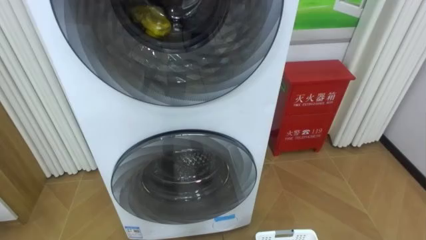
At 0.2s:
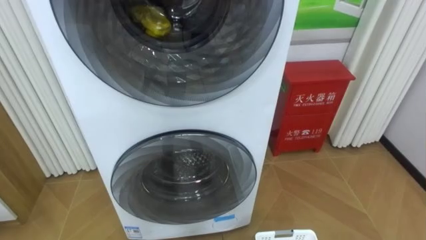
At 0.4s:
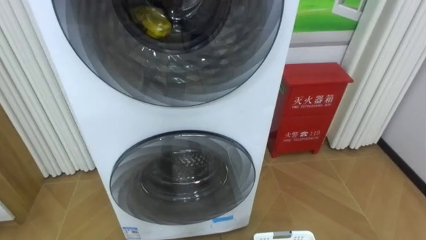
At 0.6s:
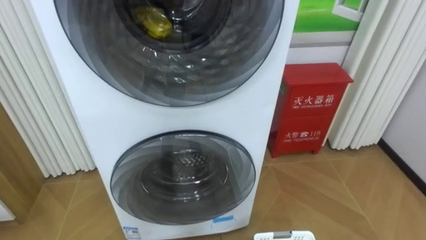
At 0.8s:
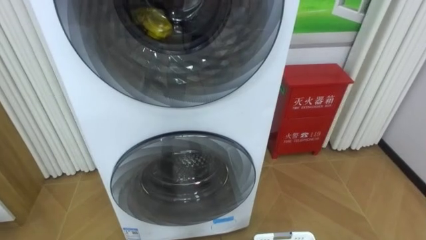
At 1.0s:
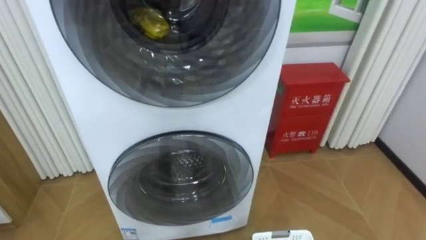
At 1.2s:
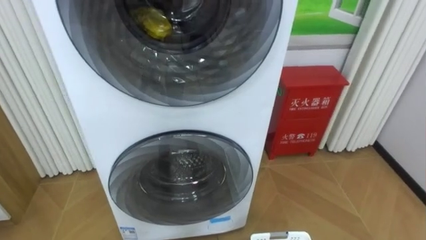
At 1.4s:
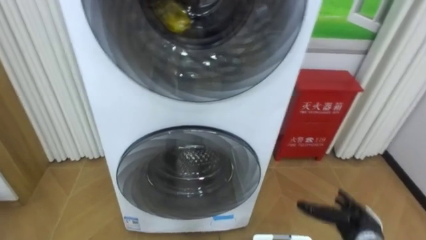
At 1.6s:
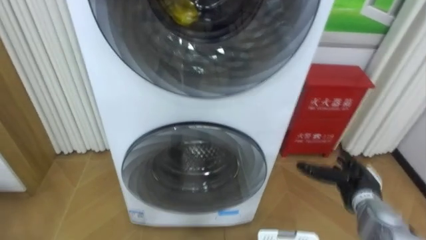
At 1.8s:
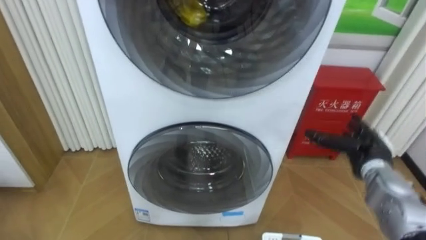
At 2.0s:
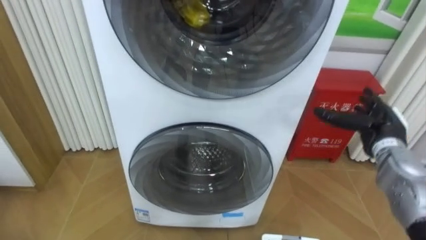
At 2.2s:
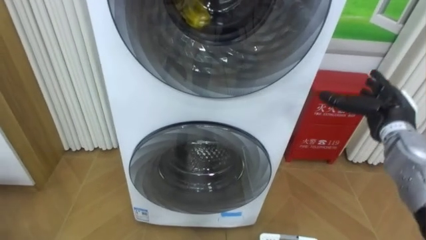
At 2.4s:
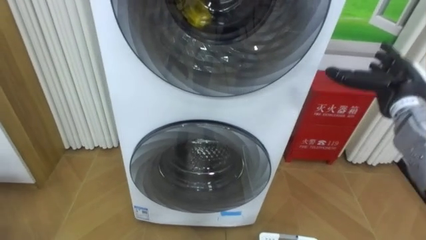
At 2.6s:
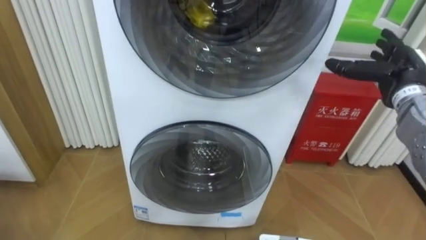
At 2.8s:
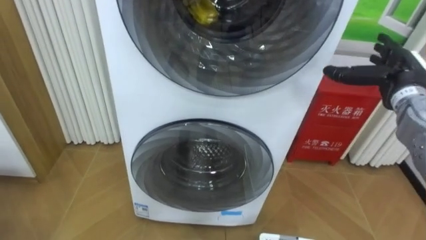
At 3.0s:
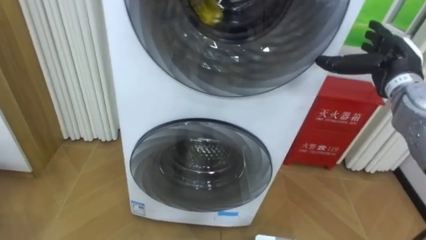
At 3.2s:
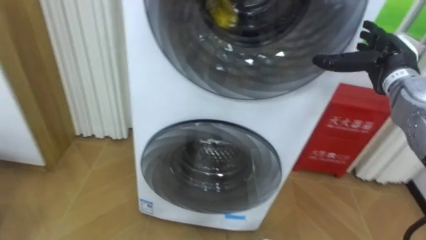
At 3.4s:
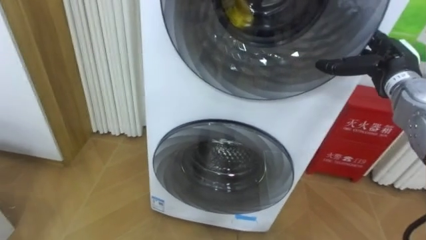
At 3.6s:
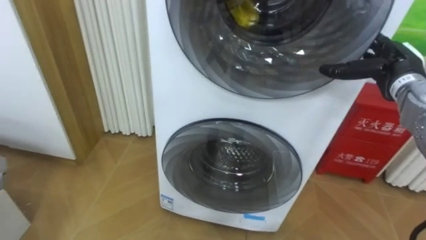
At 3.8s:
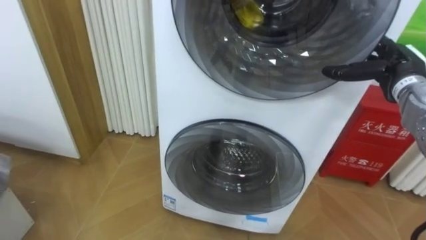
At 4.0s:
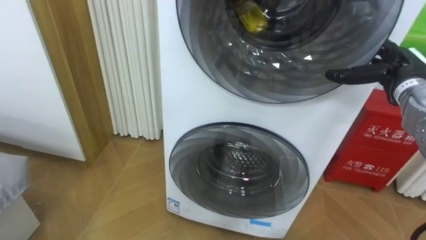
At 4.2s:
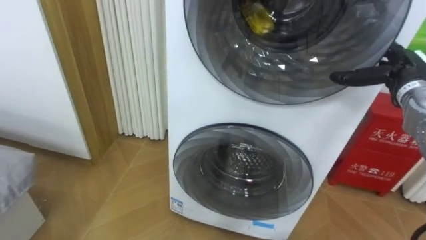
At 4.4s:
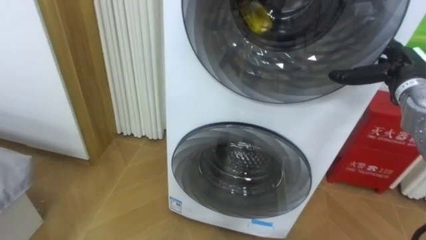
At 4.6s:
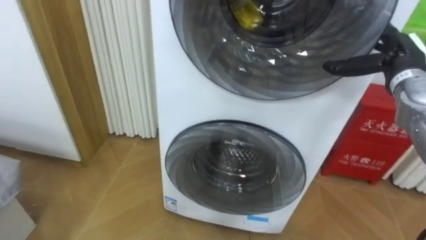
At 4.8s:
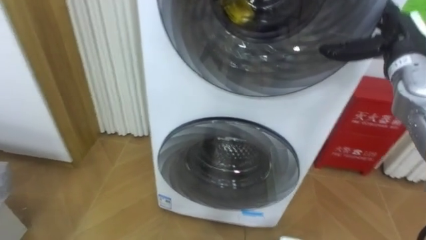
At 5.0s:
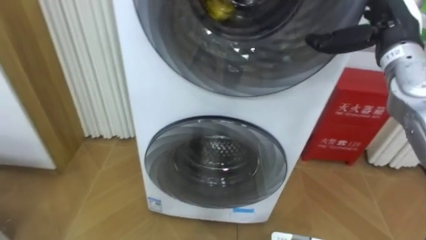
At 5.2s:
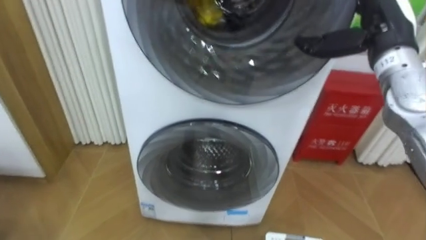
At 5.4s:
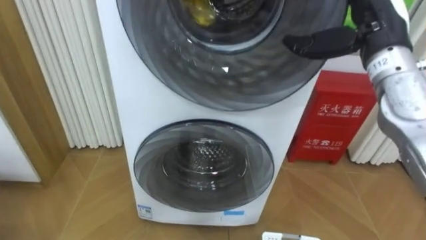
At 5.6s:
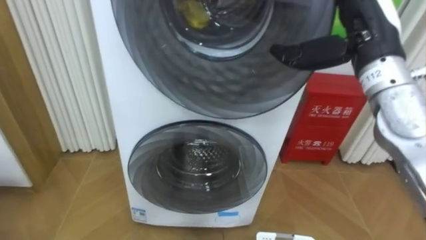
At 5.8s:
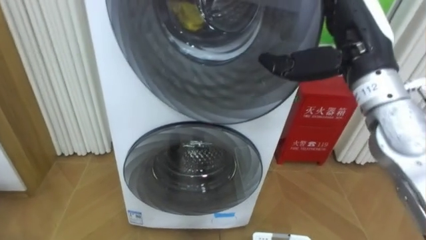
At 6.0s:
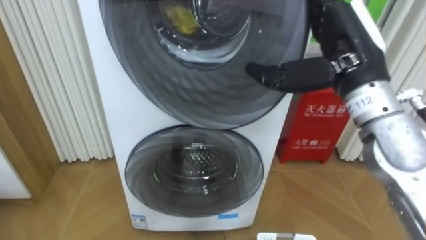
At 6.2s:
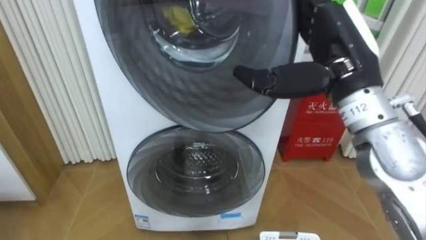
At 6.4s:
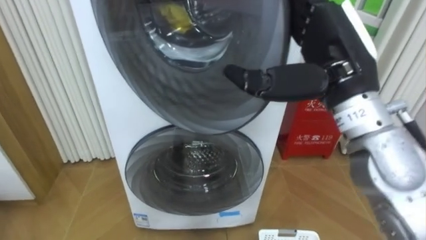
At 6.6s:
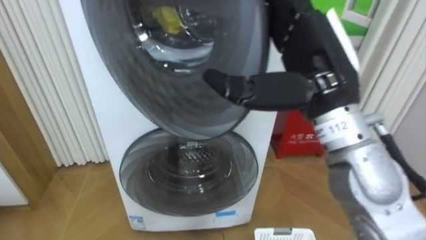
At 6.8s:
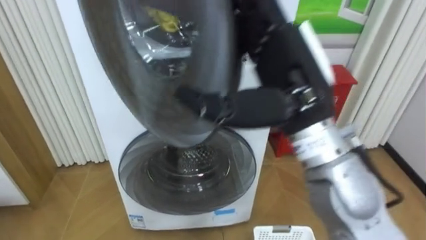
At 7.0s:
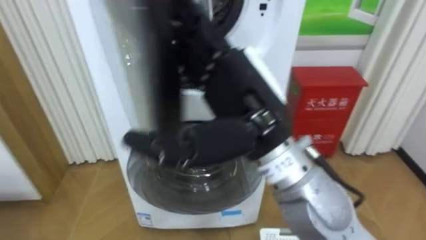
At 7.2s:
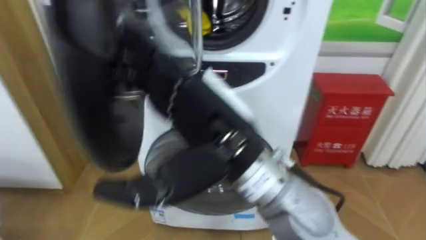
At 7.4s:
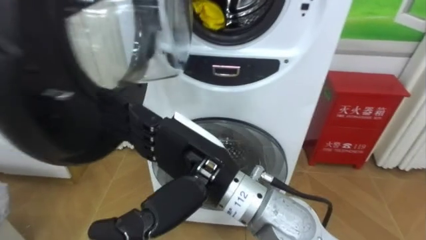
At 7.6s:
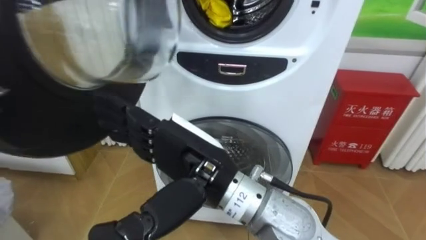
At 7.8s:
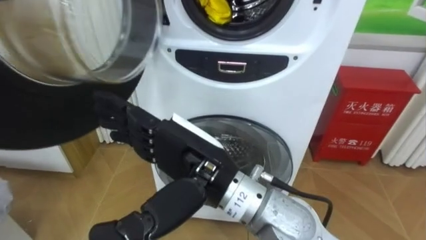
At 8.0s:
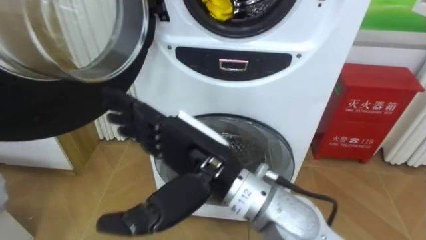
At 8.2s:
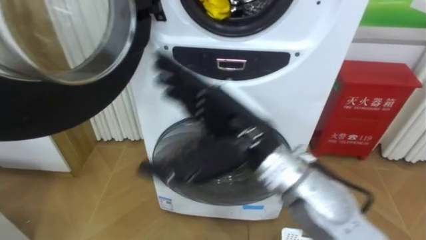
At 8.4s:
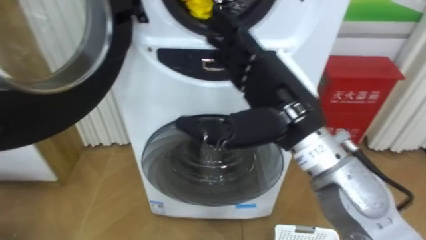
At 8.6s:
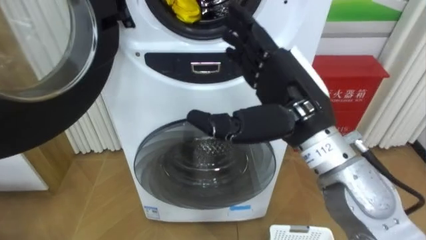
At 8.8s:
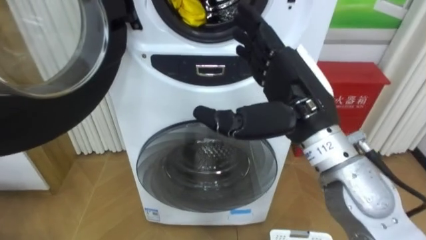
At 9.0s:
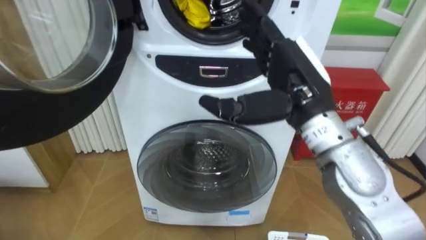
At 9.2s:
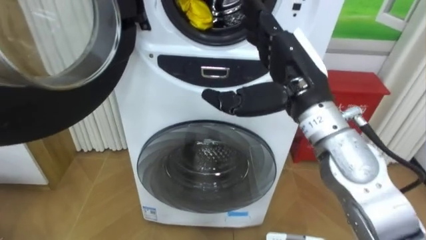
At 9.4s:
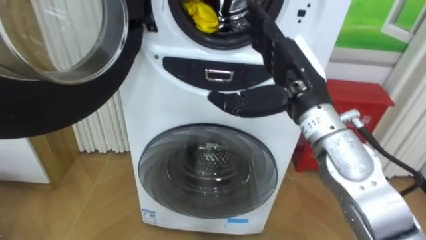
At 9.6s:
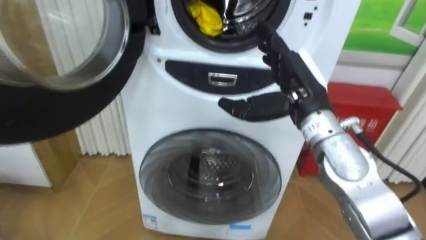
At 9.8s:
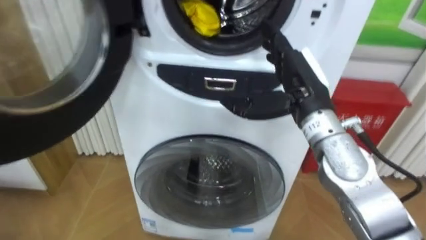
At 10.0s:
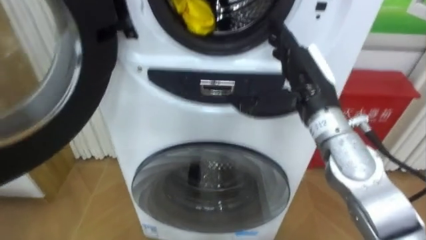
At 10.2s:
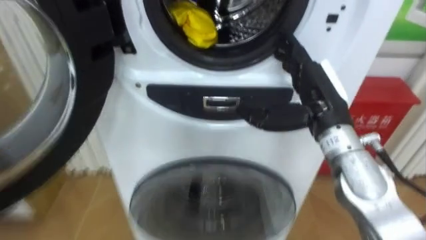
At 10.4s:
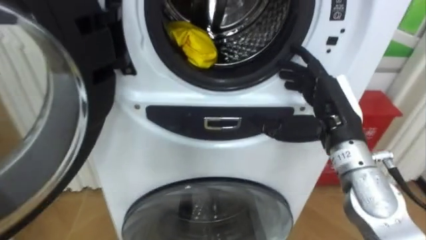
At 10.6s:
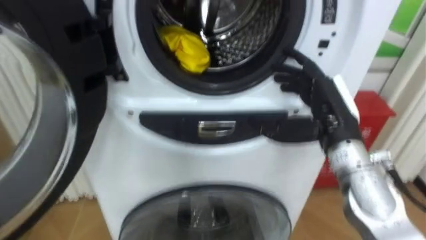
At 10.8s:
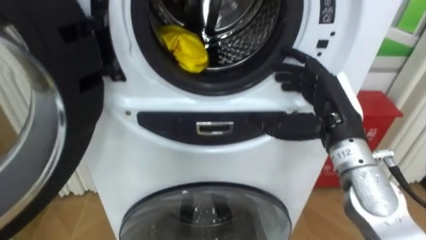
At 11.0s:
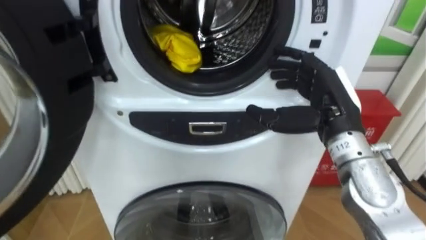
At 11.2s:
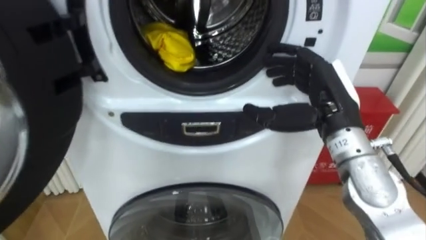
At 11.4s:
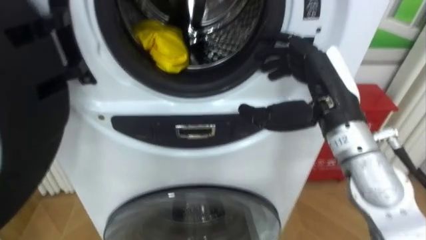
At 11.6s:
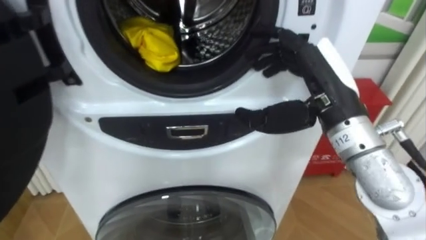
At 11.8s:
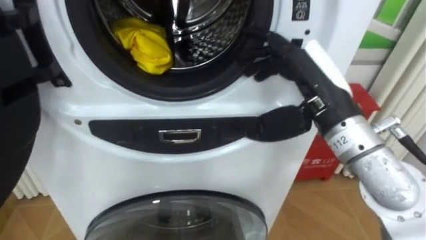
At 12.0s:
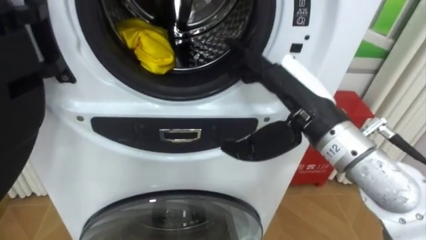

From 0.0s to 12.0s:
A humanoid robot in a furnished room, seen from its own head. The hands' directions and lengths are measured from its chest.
Task of the whole recording: Open the washing machine door, take out the yellow clothes, place them in the box on the right, and close the washing machine door.
From 1.6s to 3.0s: The right hand shifts roughly 25 cm upward and forward.
From 4.4s to 6.0s: The right hand moves to the left, backward and upward, approximately 20 cm.
From 6.0s to 7.6s: The right hand moves to the left, backward and downward, approximately 25 cm.
From 7.6s to 9.0s: The right hand goes about 15 cm to the right and forward.
From 9.0s to 10.4s: The right hand shifts about 10 cm downward and to the right.
From 10.4s to 12.0s: The right hand moves to the left and upward, roughly 10 cm.

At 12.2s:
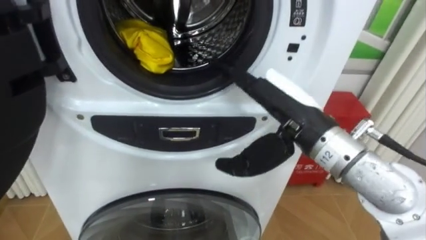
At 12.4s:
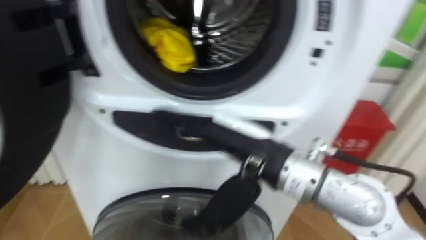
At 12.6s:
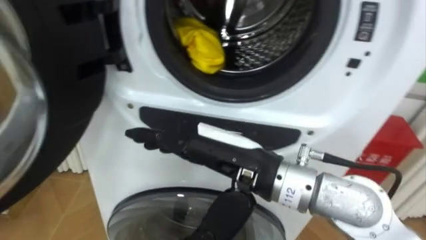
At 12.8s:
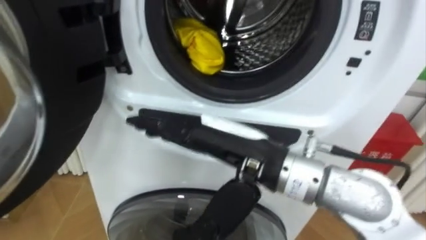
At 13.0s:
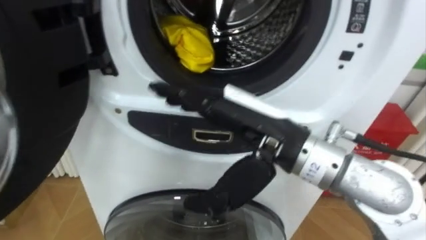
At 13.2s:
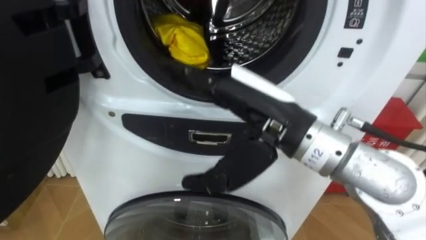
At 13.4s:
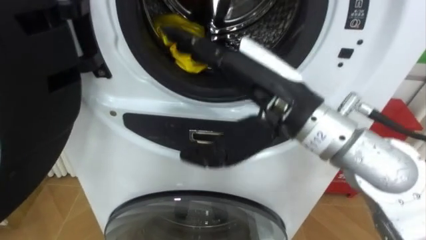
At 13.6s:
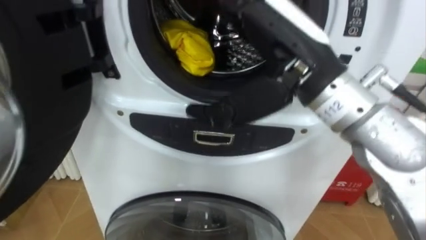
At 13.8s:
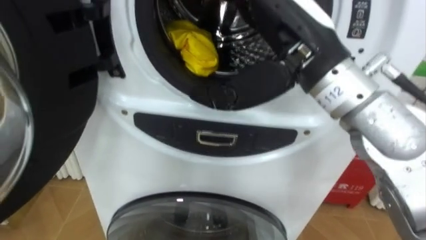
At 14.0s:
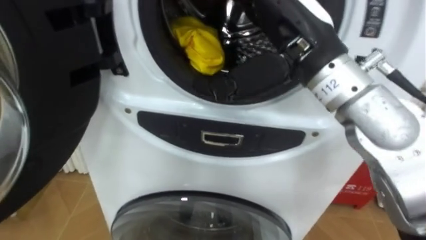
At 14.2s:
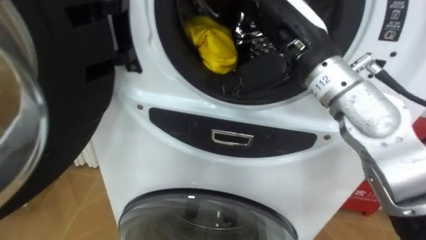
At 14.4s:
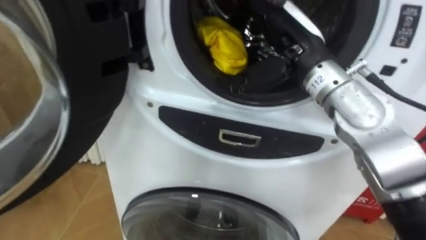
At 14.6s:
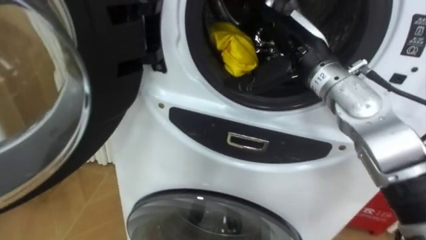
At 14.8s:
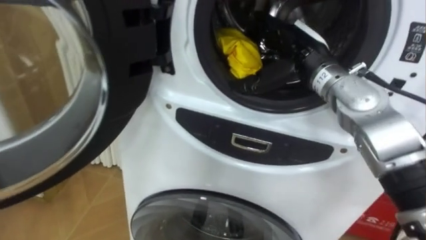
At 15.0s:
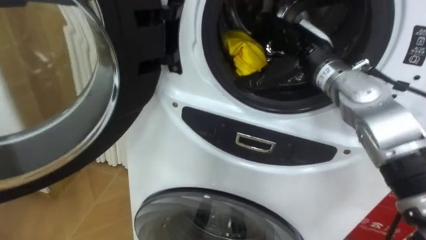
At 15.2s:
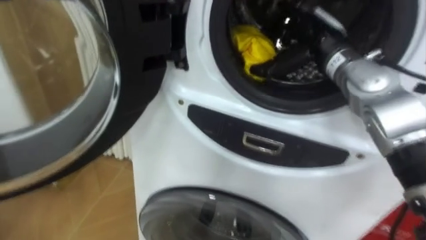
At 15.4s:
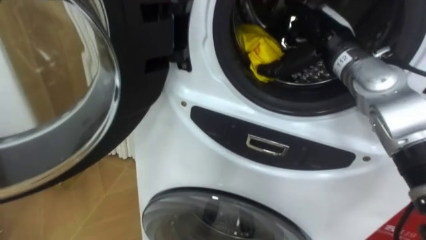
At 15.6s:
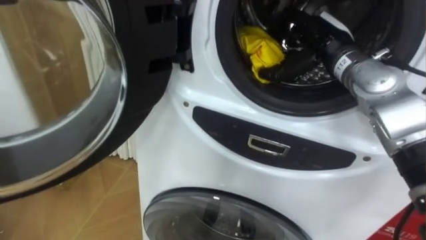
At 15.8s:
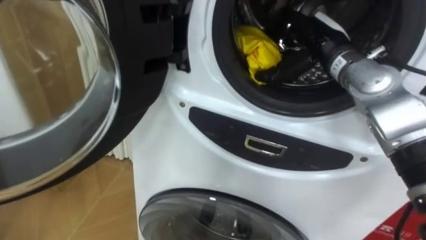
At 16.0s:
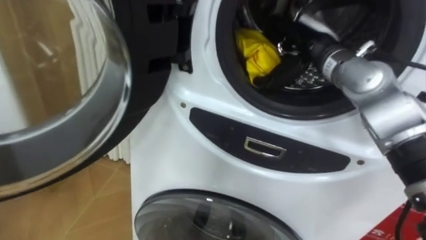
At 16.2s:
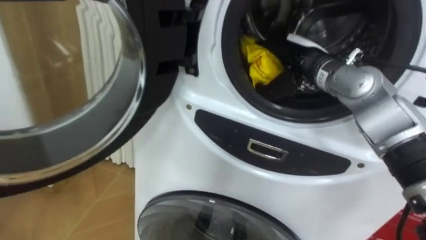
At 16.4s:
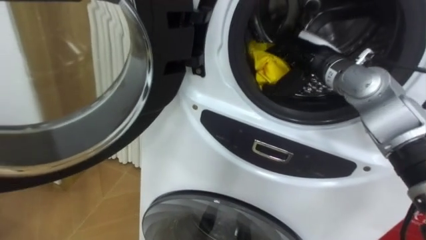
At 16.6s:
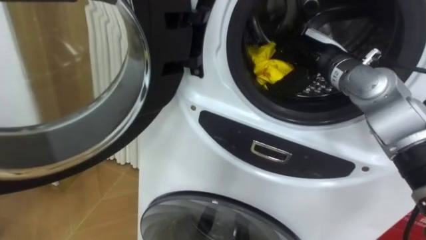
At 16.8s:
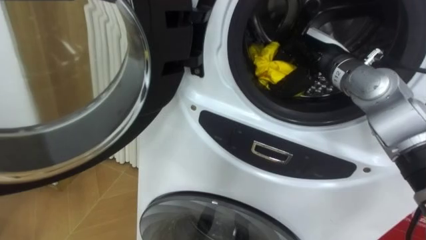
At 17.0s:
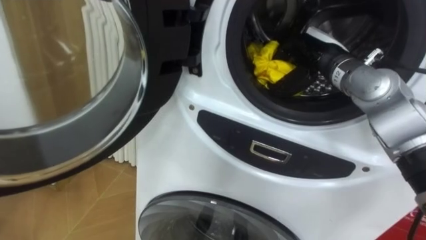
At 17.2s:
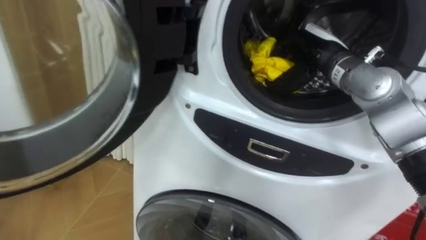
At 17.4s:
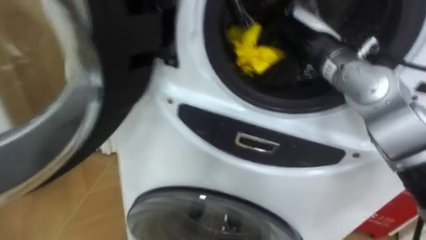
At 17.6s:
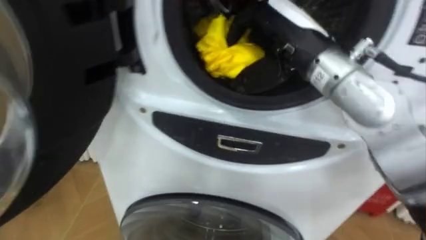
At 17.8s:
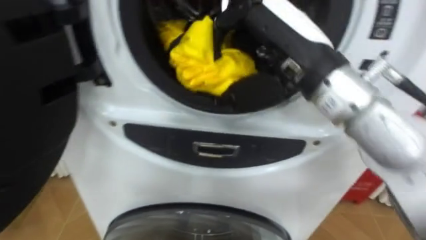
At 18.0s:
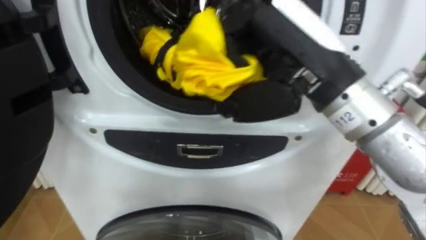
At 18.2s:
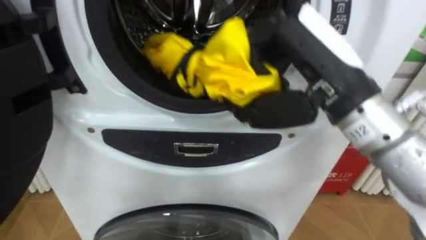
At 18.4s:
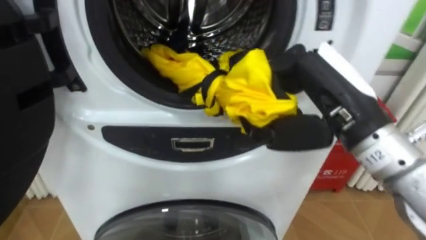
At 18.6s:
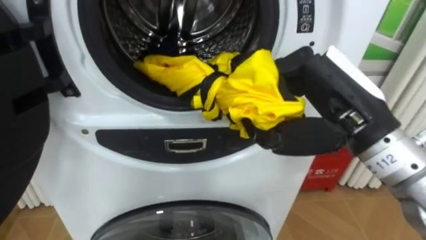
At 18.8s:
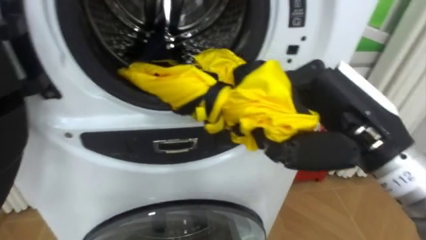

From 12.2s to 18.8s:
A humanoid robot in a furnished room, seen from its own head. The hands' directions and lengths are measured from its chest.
Task of the whole recording: Open the washing machine door, take out the yellow clothes, place them in the box on the right, and close the washing machine door.
From 12.2s to 13.8s: The right hand travels upward by some 10 cm.
From 13.8s to 15.4s: The right hand shifts some 20 cm forward, to the right and downward.
From 15.4s to 17.2s: The right hand closes its fingers.
From 17.2s to 18.8s: The right hand heads backward, covering approximately 20 cm.
